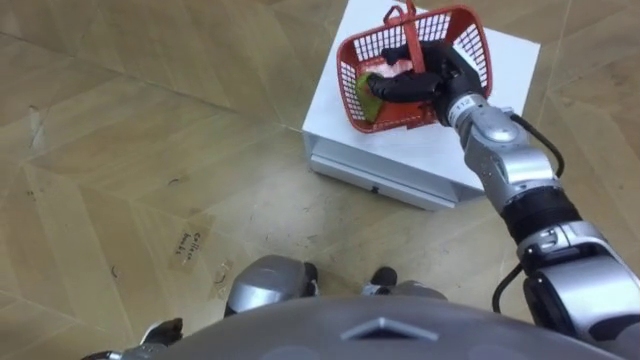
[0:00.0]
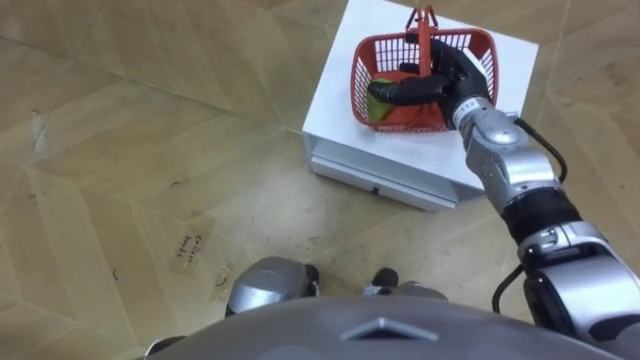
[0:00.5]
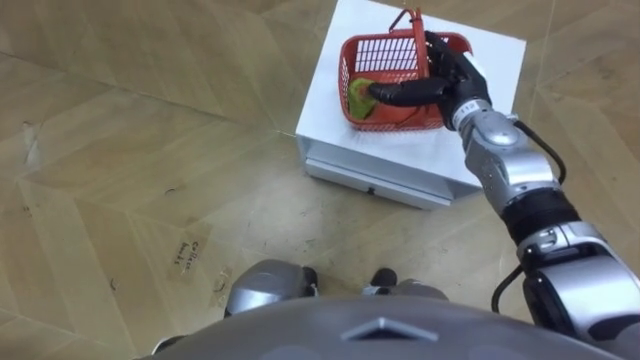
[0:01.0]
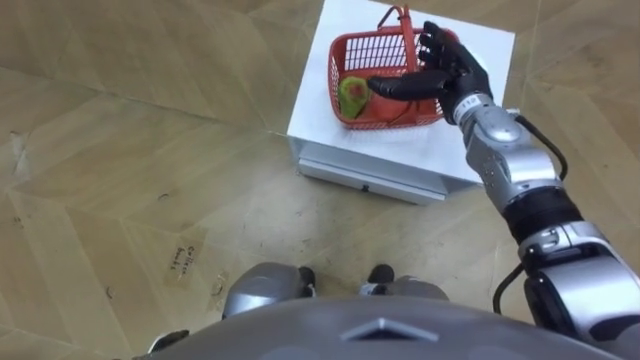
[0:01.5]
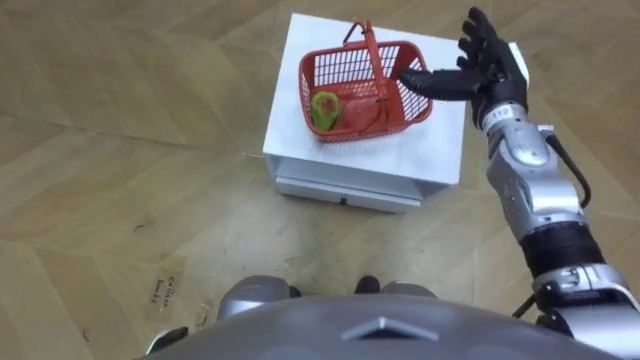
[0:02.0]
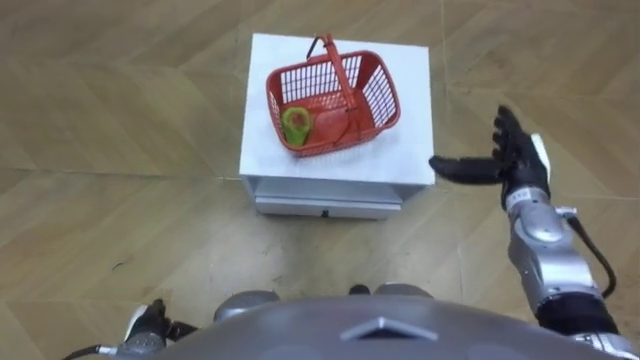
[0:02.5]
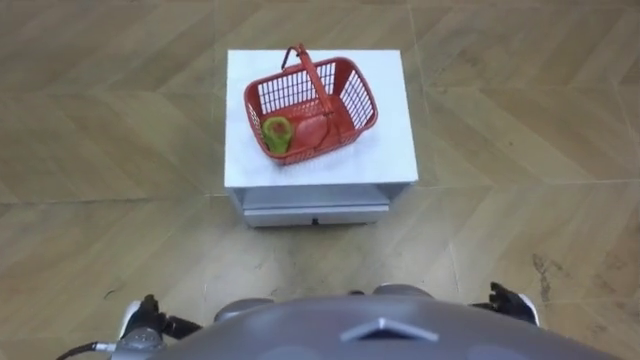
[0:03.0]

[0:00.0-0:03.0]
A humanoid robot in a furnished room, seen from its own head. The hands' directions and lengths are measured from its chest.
Task of the whole recording: Pick up the fruit basket from the floor and place it on the cabinet.
0:00.0 to 0:01.5: The right hand opens.
0:01.5 to 0:03.0: The right hand heads backward and downward, covering some 35 cm, while the left hand shifts by about 5 cm.

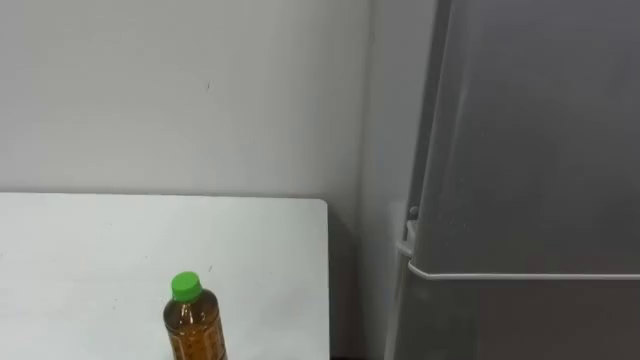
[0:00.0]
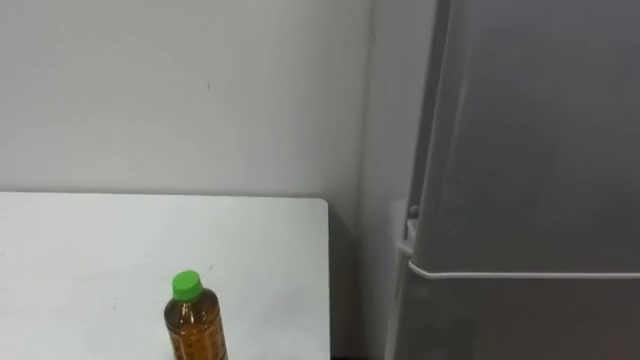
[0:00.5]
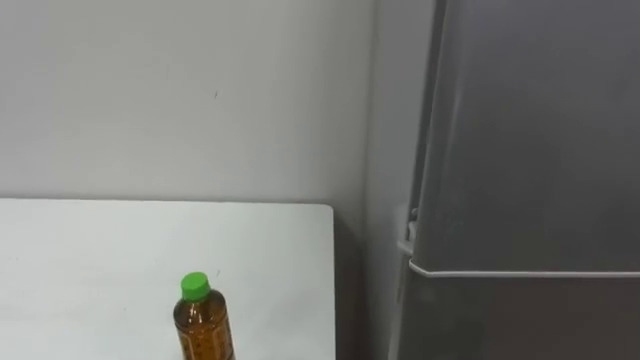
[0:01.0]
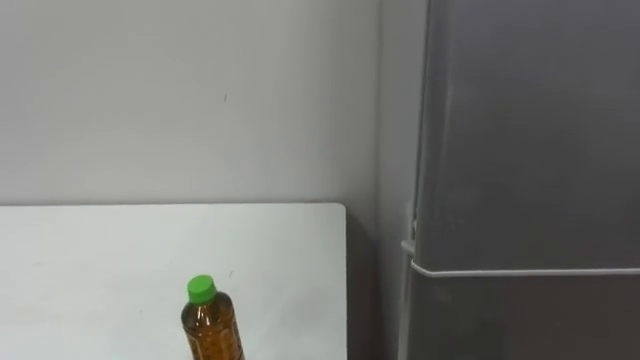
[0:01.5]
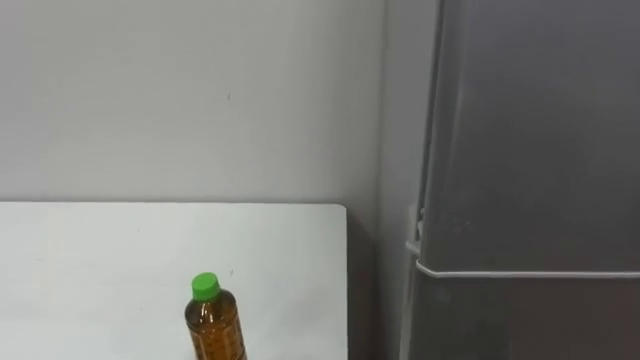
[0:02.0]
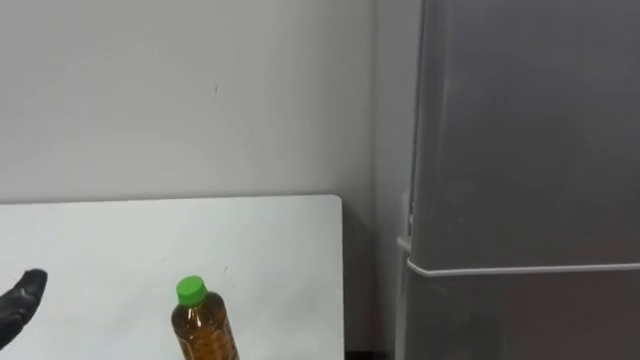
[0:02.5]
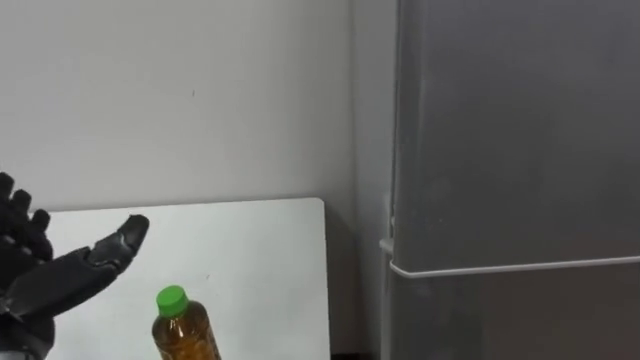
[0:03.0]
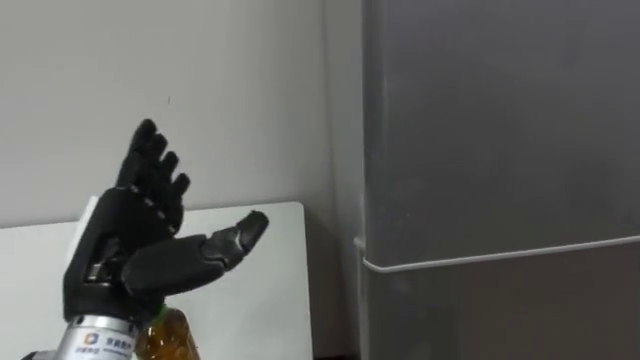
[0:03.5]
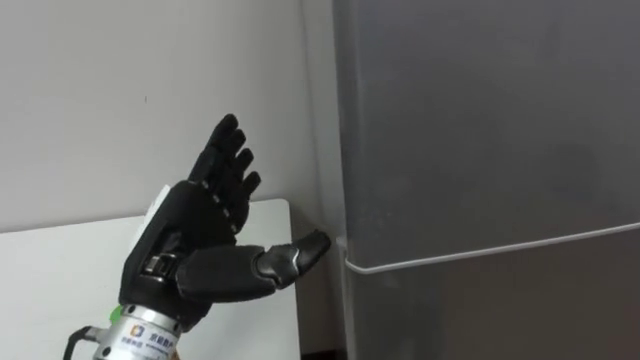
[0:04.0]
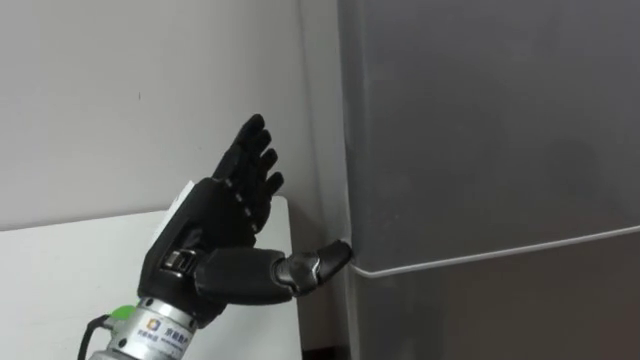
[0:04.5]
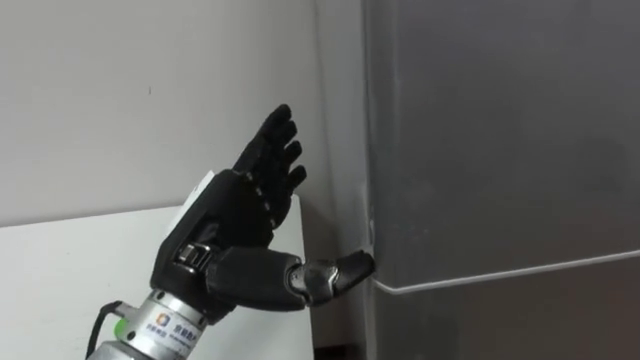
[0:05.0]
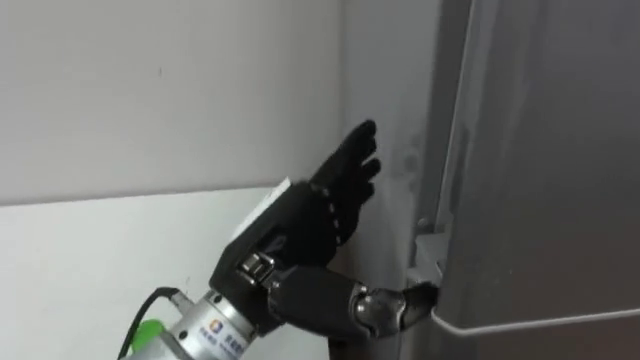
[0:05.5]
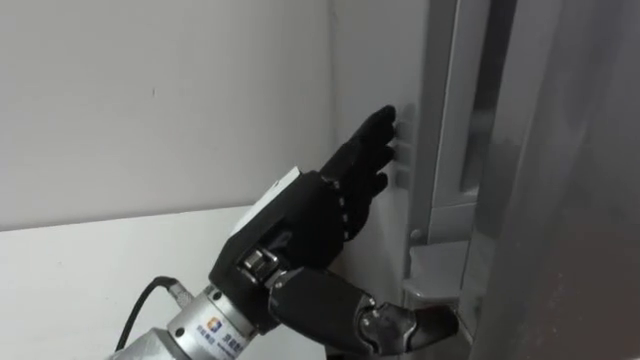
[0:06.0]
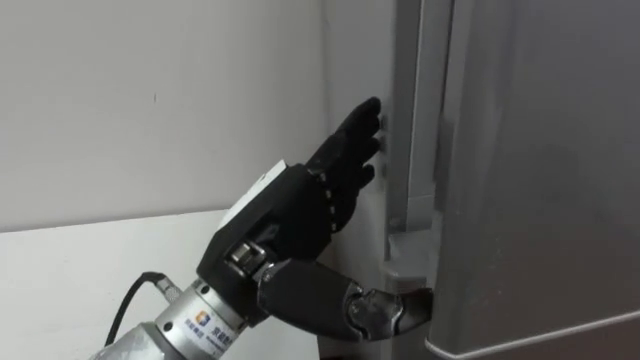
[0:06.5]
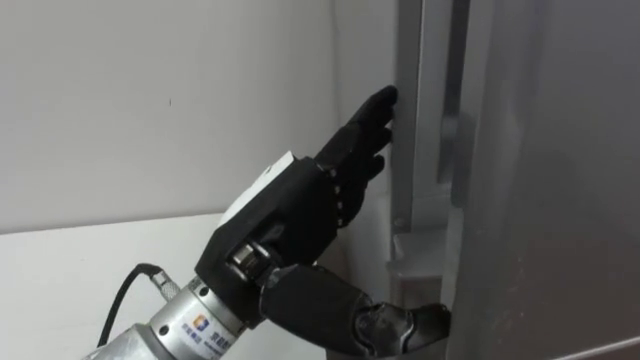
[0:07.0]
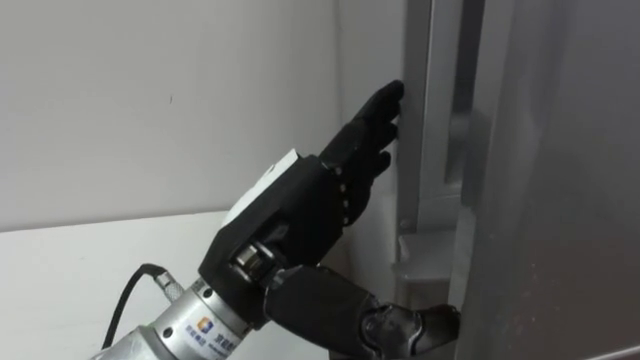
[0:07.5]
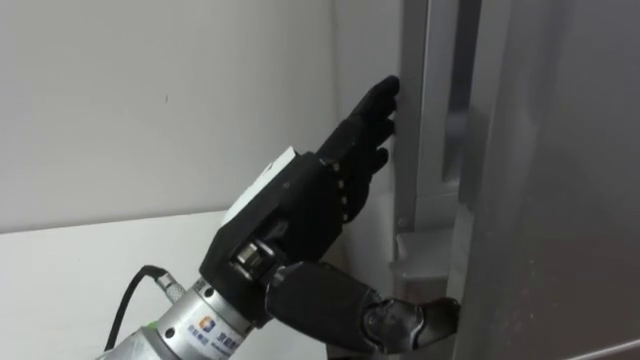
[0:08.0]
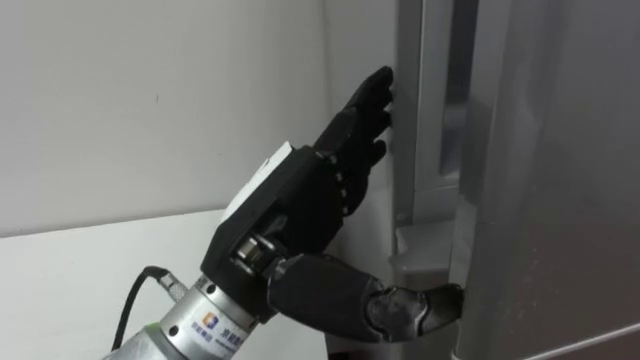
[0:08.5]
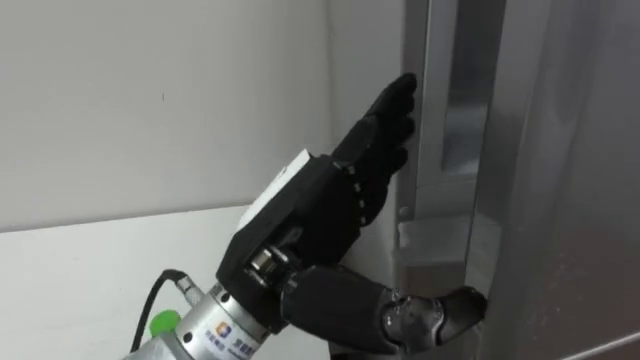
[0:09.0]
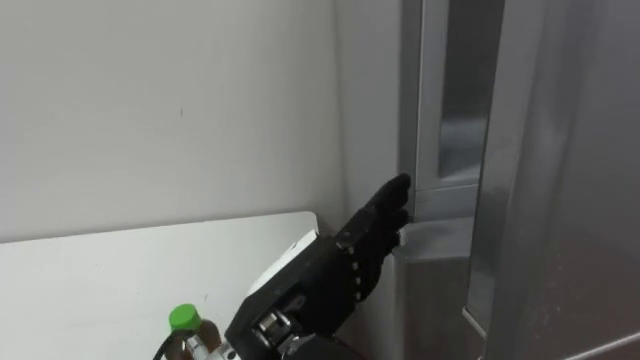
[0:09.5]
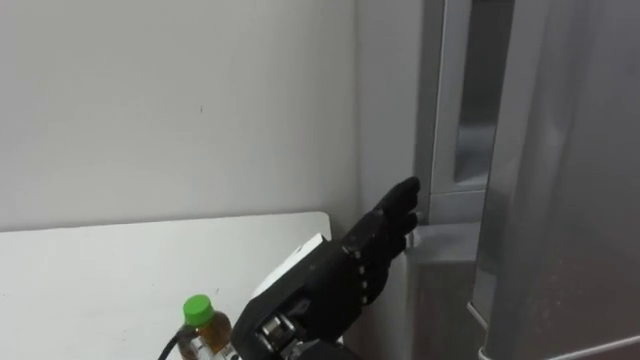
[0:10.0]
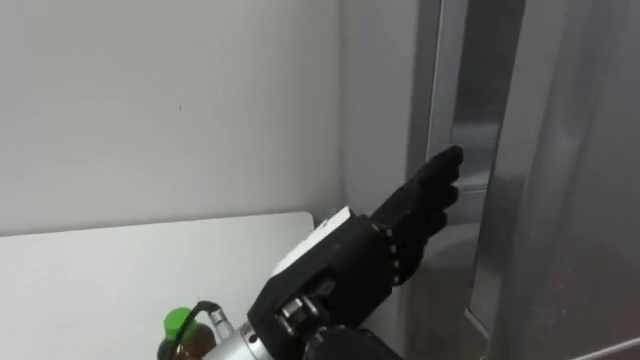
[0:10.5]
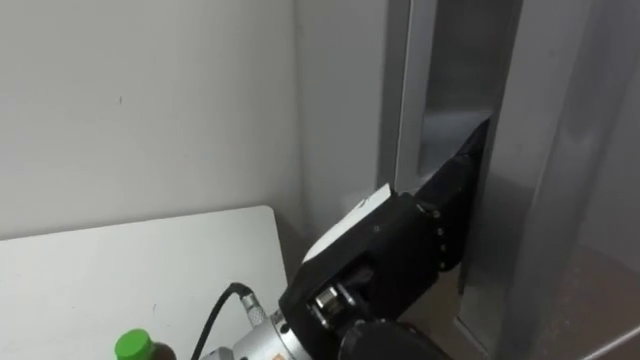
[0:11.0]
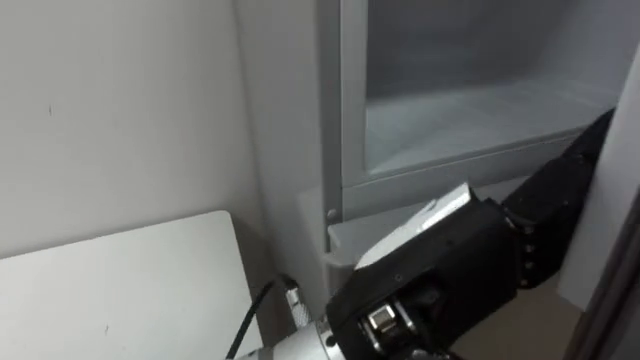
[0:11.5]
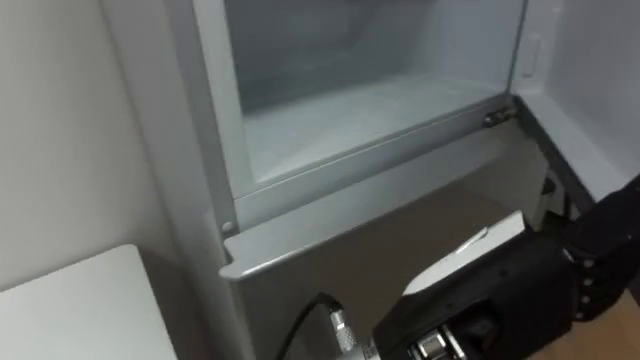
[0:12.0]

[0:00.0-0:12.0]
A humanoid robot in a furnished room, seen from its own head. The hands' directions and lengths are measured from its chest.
Task of the whole recording: Open the upper refrigerator door, put the drink from the table into the refrigerator, and then close the refrigerator door.
0:04.0 to 0:06.0: The left hand goes roughly 10 cm to the right.
0:08.0 to 0:10.0: The left hand heads downward, covering about 5 cm.
0:10.0 to 0:12.0: The left hand travels to the right, upward and backward by about 15 cm.

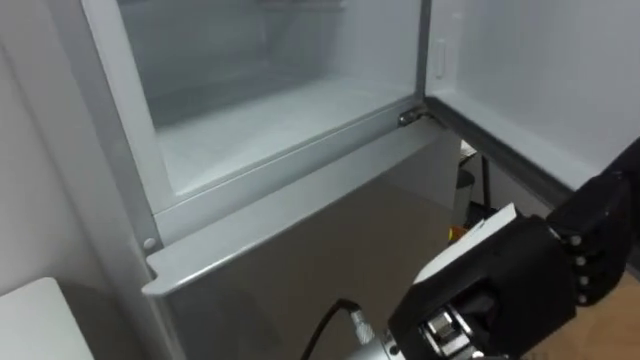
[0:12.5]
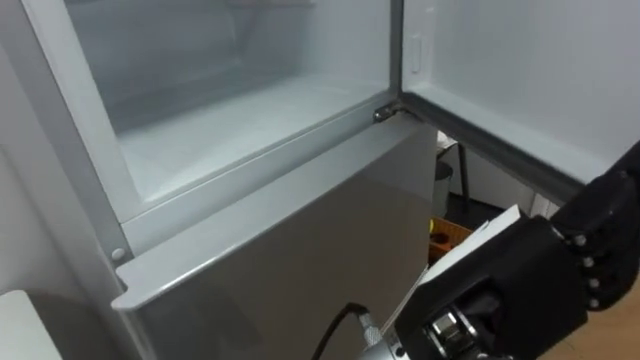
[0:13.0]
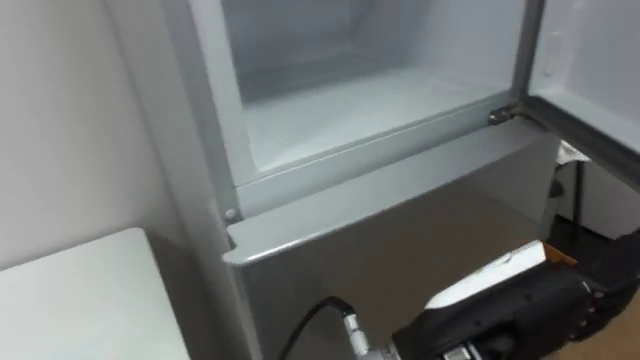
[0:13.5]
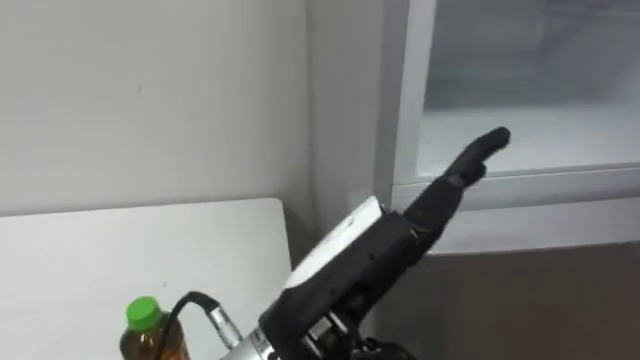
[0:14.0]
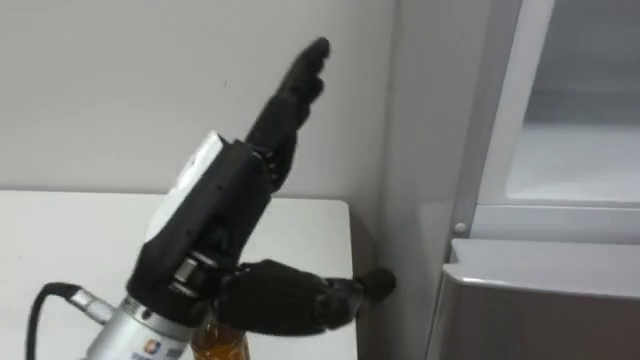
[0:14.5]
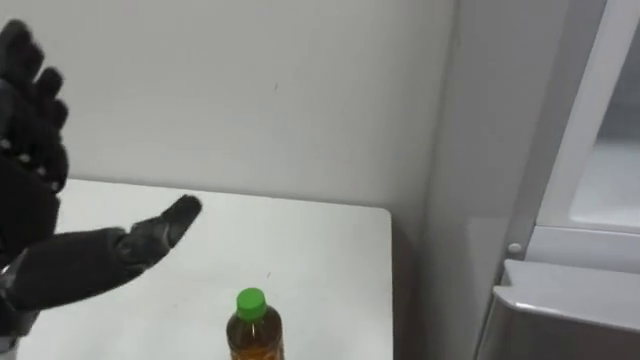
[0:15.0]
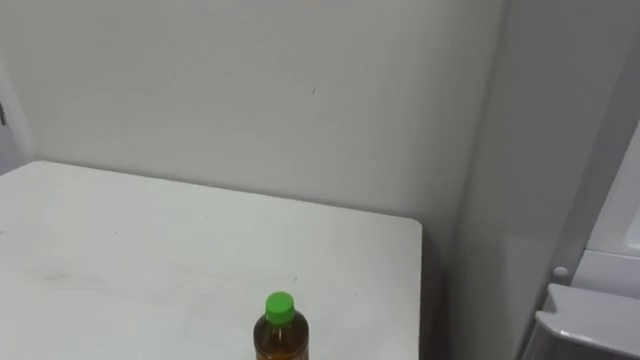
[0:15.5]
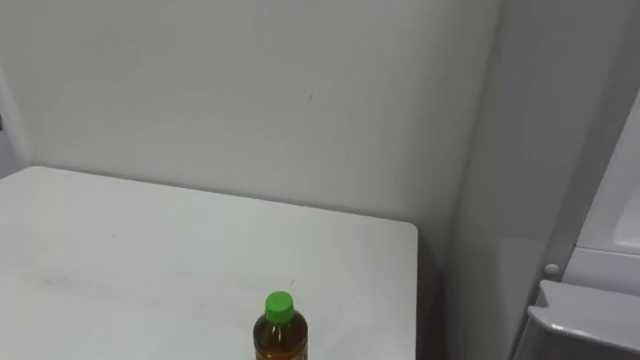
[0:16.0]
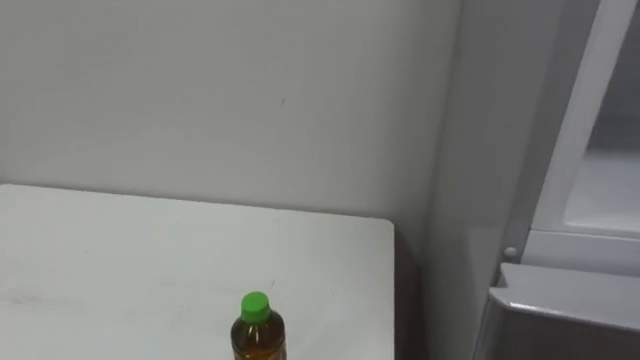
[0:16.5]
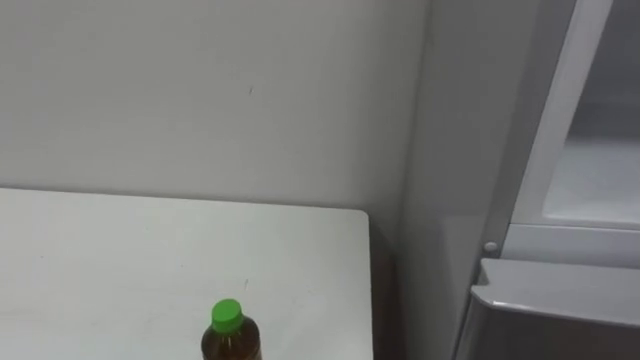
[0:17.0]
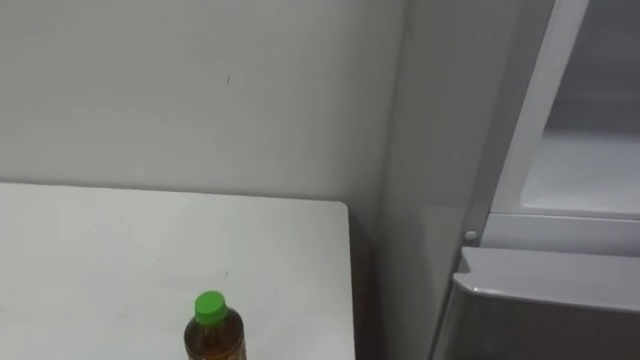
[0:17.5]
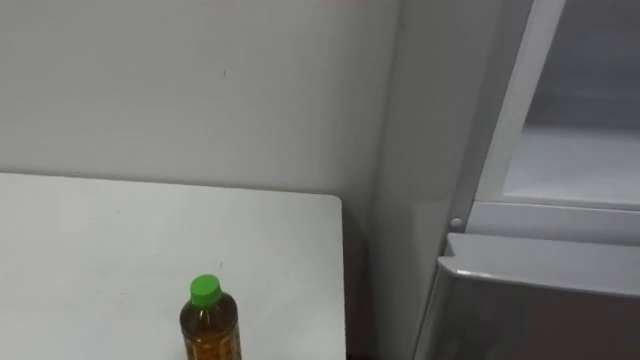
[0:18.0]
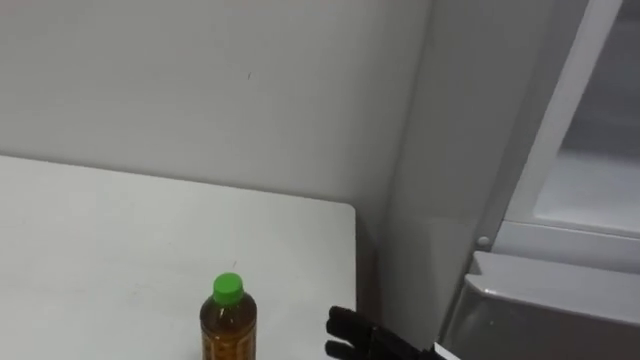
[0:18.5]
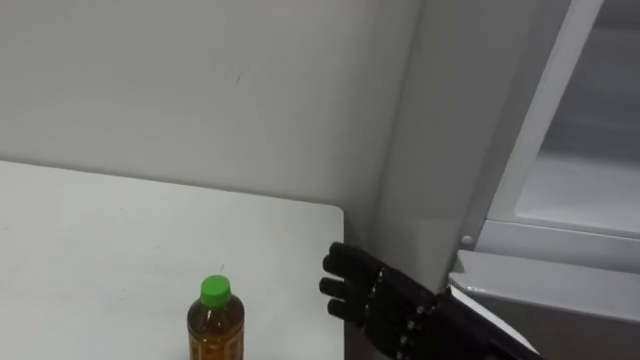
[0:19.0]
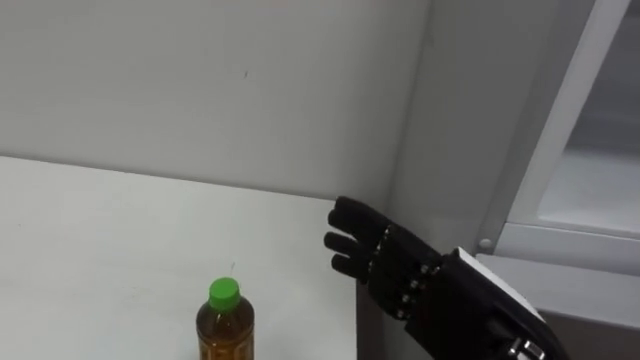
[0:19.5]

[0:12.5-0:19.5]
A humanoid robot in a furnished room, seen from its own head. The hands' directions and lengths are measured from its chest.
Task of the whole recording: Open the upper refrigerator door, put the drink from the table into the refrigerator, and then close the refrigerator door.
0:12.5 to 0:14.5: The left hand travels to the left by roughly 15 cm.
